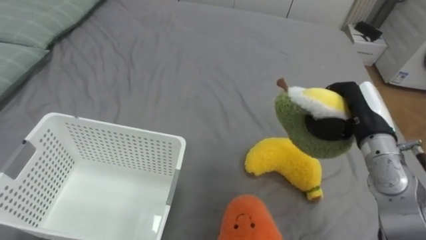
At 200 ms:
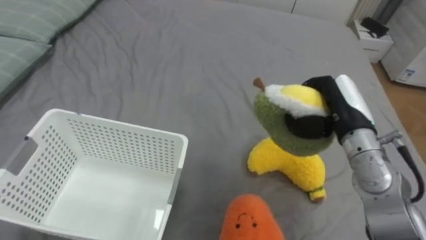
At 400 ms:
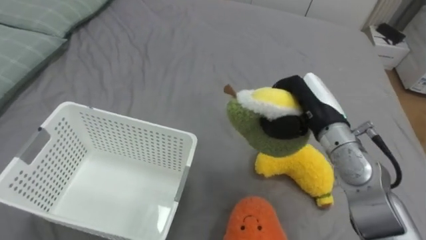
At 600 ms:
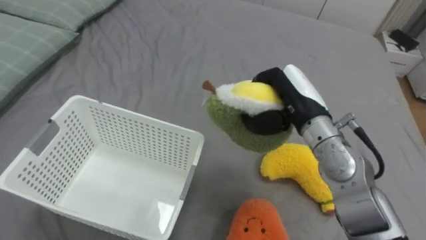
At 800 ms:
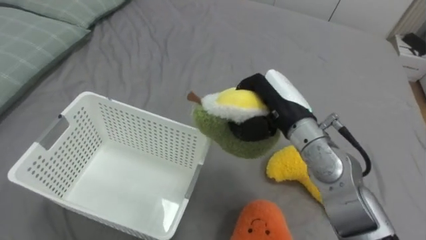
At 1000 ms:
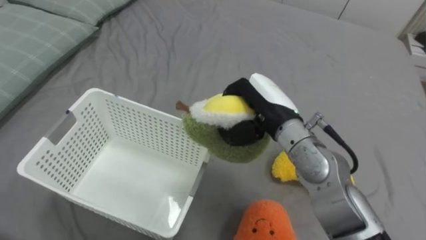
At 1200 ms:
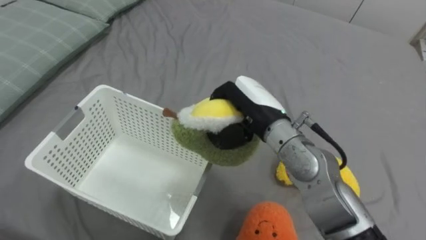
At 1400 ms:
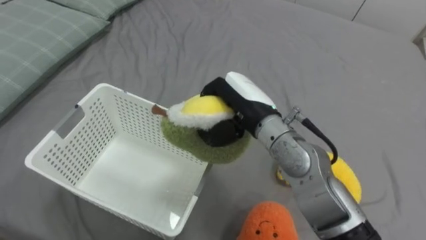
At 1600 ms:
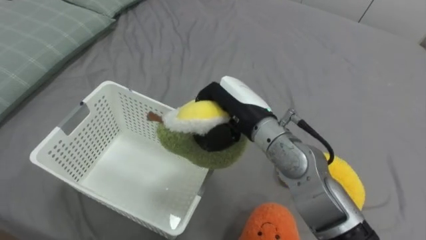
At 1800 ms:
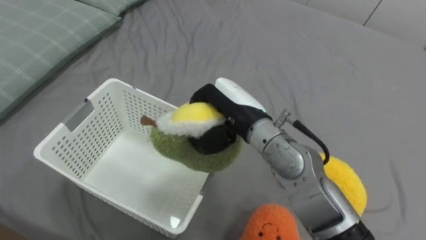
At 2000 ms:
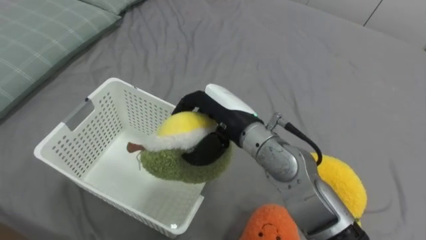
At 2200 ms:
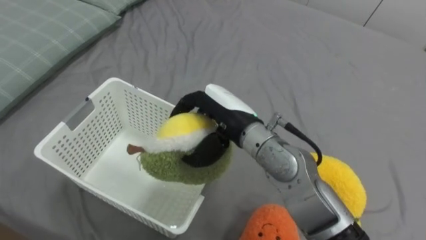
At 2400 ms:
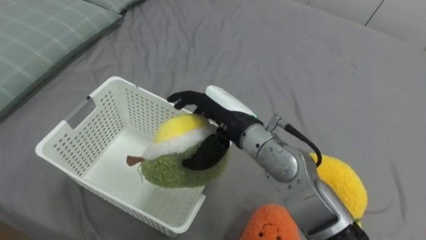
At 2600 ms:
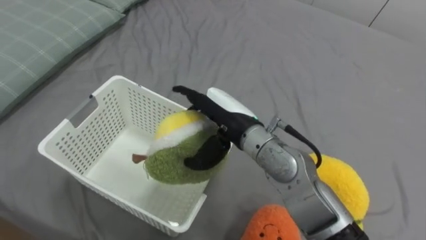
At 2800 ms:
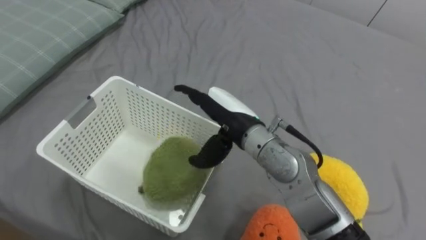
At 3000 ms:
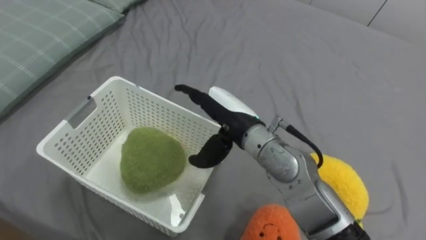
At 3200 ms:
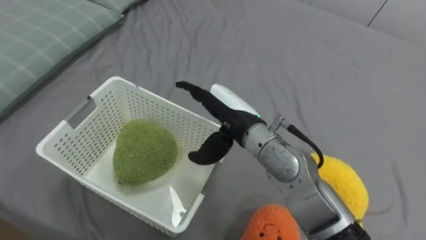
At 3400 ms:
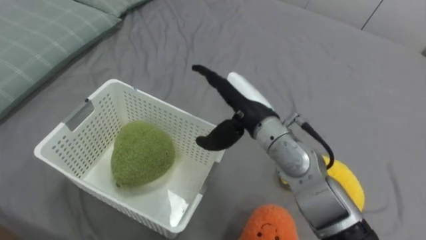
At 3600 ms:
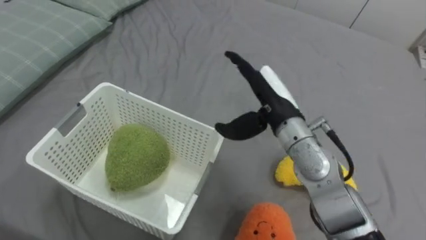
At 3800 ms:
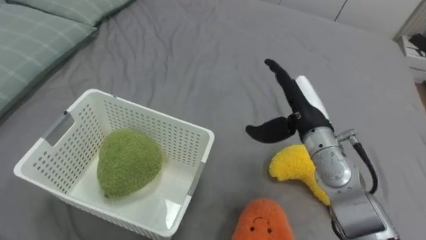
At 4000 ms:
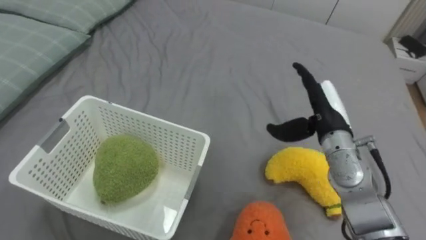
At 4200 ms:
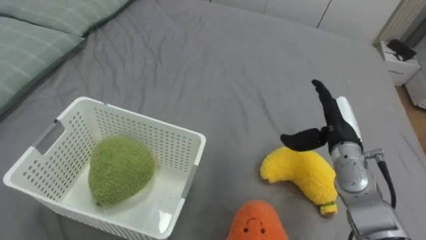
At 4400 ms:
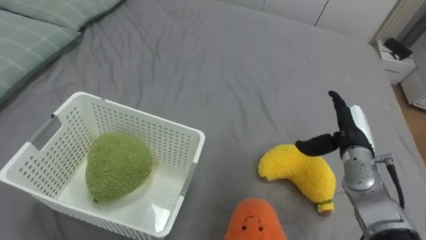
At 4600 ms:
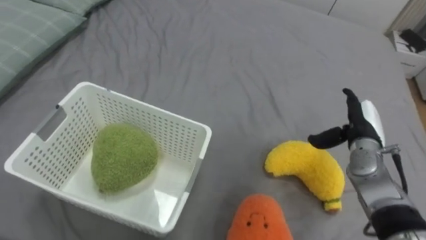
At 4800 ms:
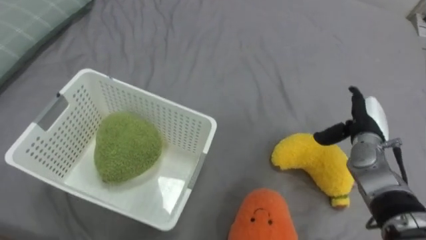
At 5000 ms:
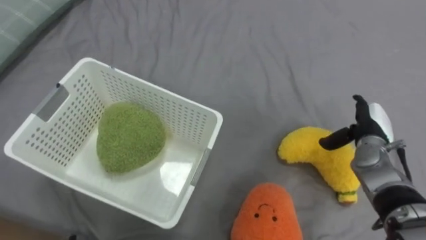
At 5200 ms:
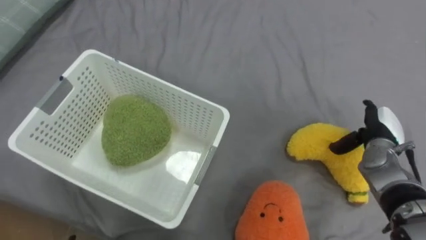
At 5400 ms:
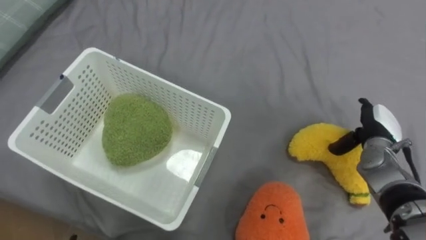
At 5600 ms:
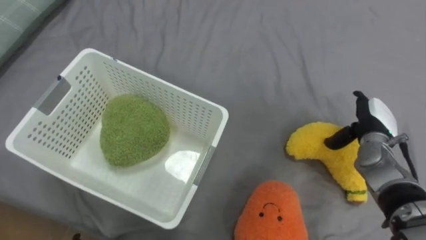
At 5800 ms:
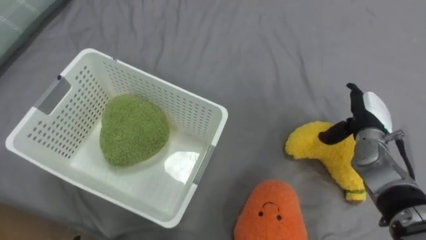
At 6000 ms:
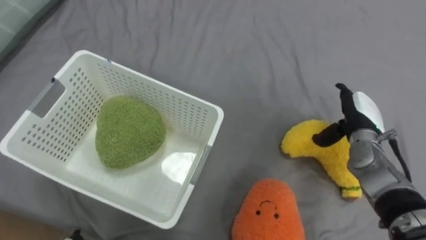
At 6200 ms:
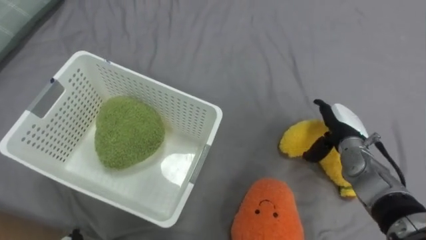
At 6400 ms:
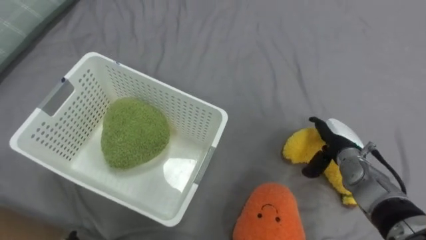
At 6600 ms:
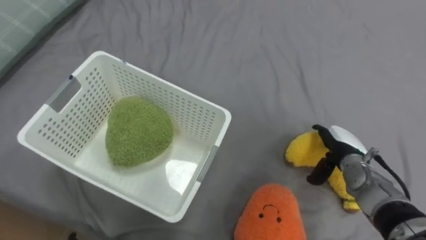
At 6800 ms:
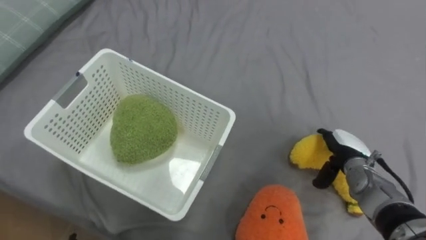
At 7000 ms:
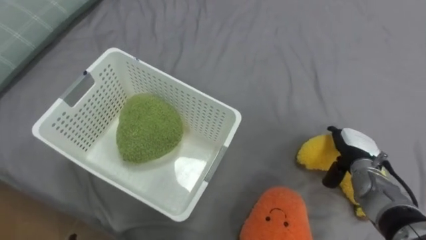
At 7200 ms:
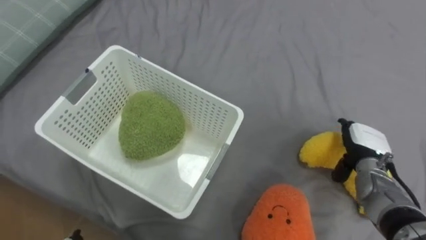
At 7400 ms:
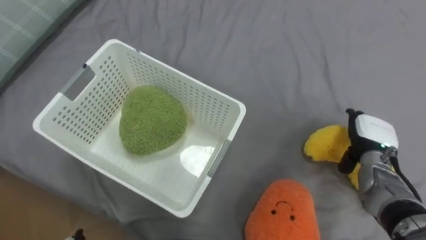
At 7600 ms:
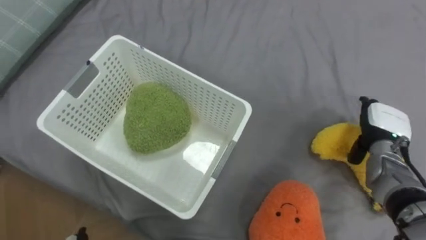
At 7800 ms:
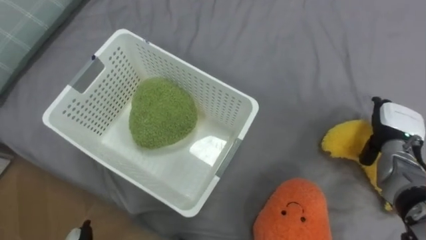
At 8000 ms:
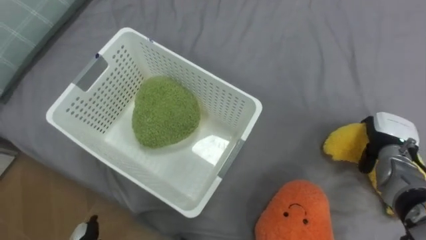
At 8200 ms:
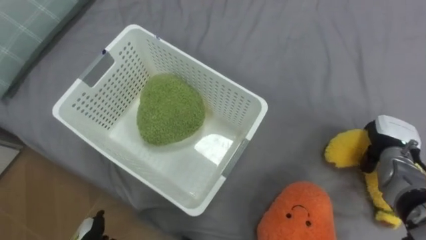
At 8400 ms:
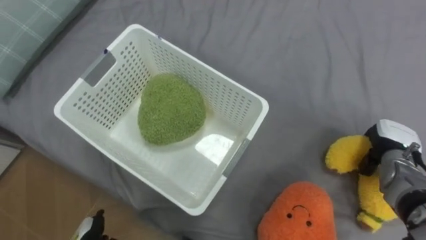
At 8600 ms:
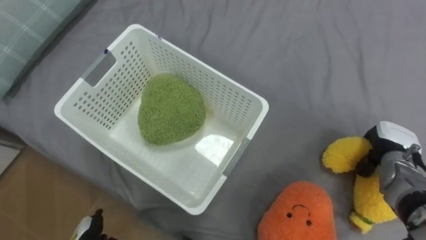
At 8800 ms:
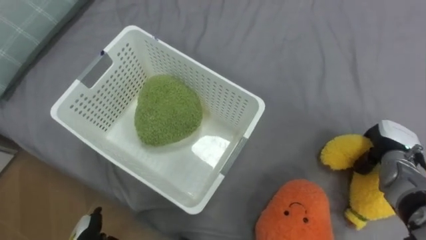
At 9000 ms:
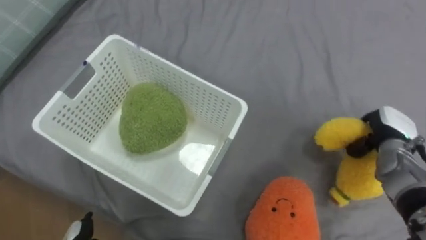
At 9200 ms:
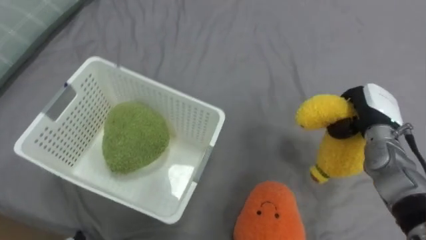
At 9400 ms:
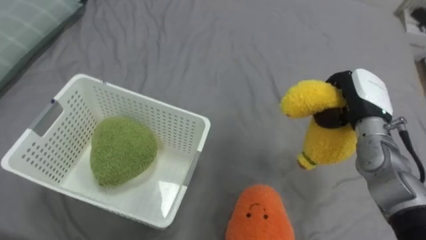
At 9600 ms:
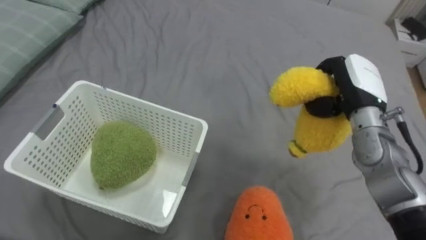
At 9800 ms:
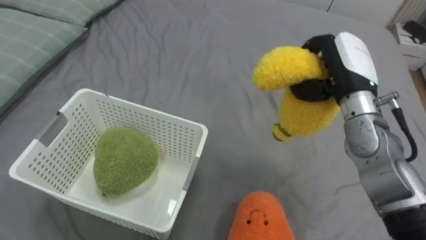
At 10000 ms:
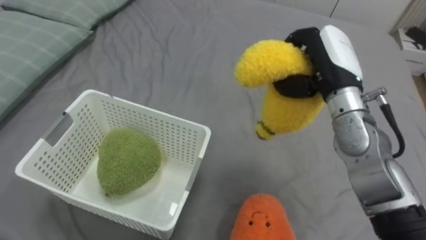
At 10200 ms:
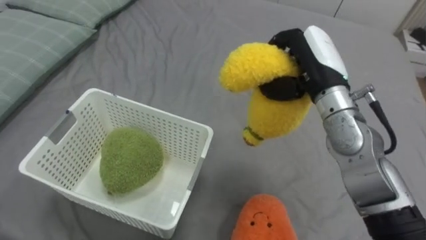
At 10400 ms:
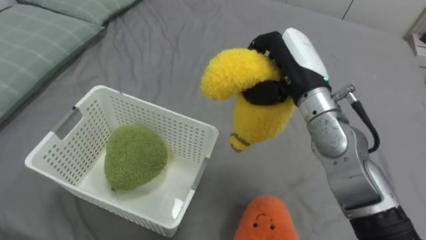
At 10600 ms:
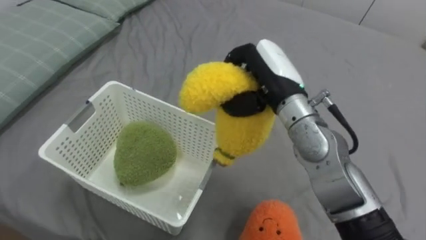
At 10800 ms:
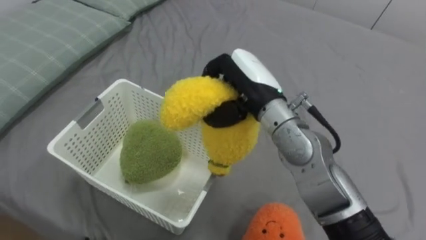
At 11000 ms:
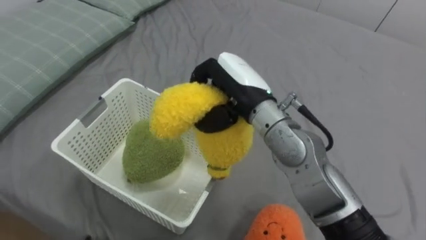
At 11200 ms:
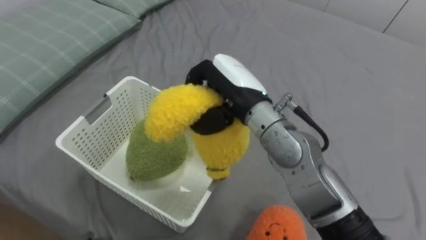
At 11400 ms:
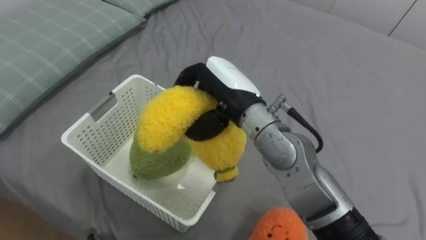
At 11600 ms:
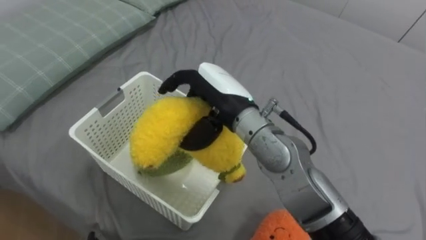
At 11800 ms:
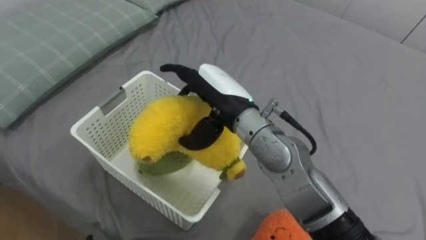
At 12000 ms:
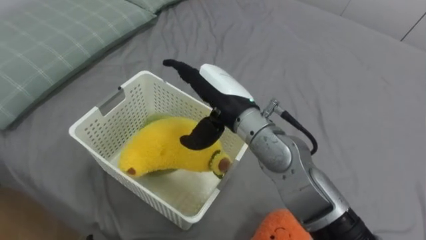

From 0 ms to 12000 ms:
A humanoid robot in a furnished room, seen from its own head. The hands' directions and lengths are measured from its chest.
Task of the whole recording: Put the toys on the bed into the basket on the left.
From 0 ms to 1600 ms: The right hand shifts about 20 cm to the left.
From 1600 ms to 3000 ms: The right hand opens.
From 3000 ms to 4400 ms: The right hand is displaced to the right by some 25 cm.
From 7600 ms to 9000 ms: The right hand closes.
From 9000 ms to 10400 ms: The right hand moves to the left and upward, about 30 cm.
From 10400 ms to 12000 ms: The right hand heads to the left, covering roughly 10 cm, and opens its fingers.

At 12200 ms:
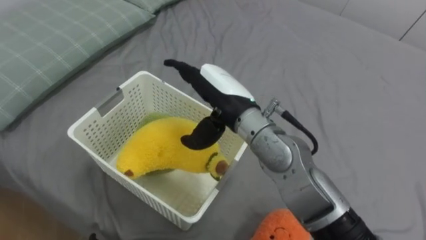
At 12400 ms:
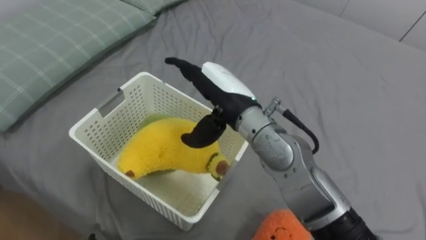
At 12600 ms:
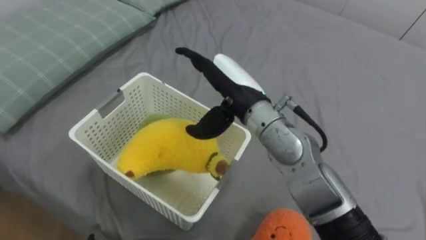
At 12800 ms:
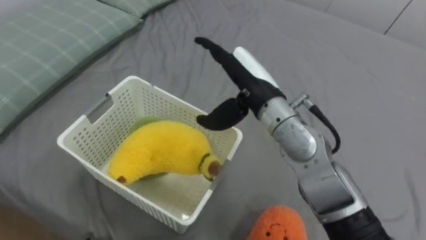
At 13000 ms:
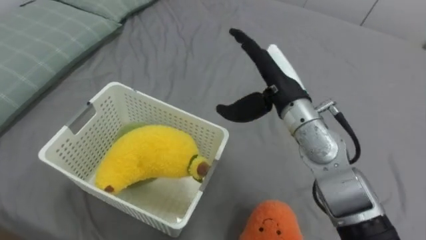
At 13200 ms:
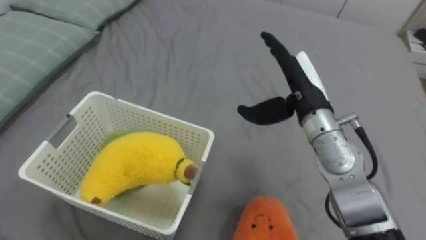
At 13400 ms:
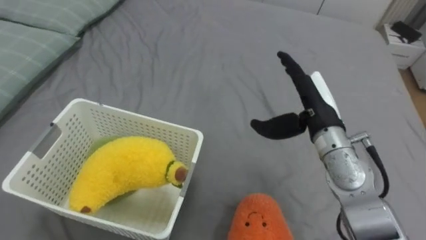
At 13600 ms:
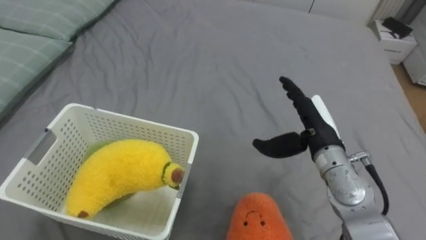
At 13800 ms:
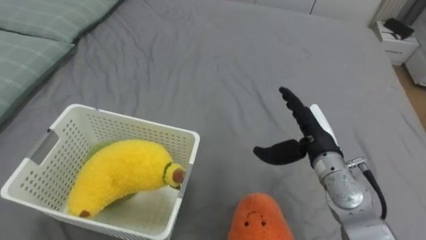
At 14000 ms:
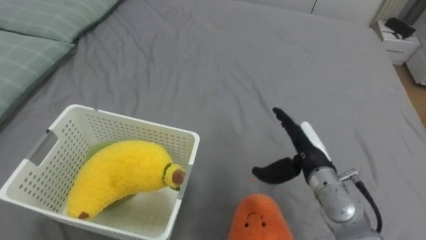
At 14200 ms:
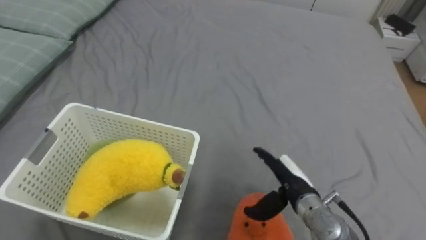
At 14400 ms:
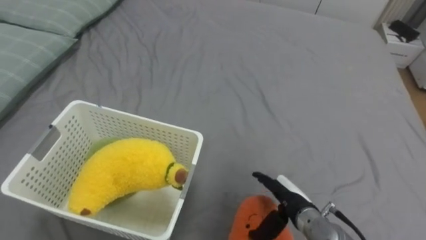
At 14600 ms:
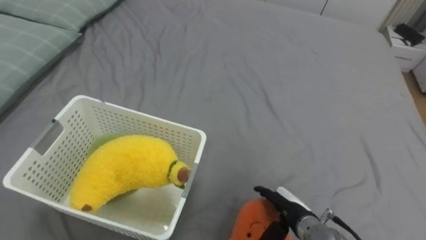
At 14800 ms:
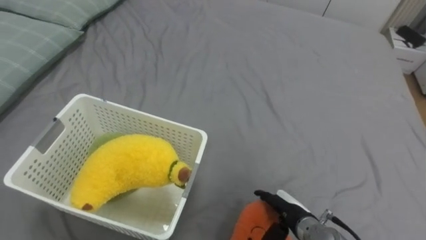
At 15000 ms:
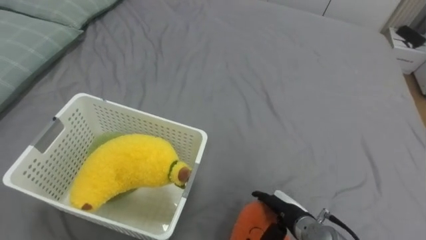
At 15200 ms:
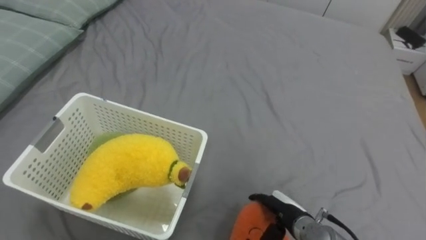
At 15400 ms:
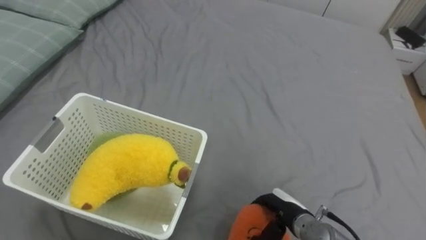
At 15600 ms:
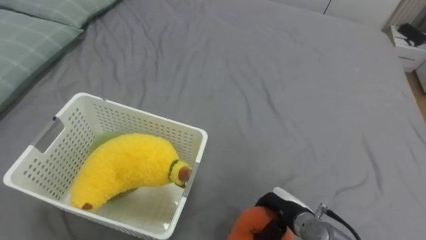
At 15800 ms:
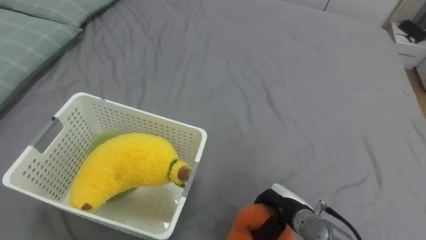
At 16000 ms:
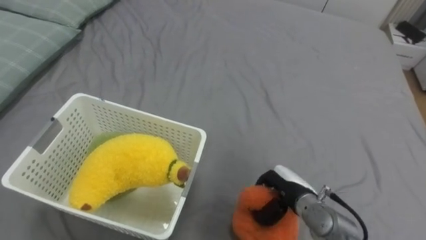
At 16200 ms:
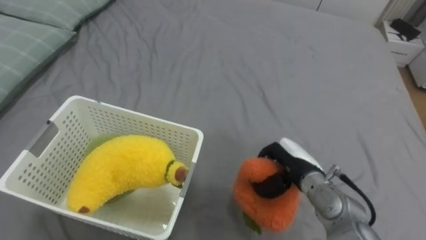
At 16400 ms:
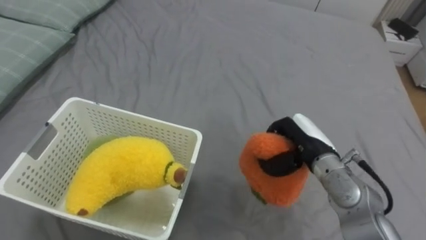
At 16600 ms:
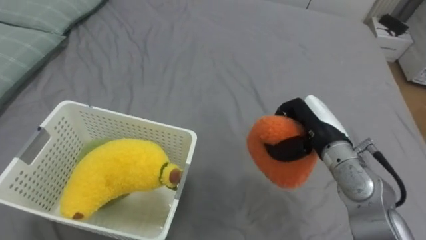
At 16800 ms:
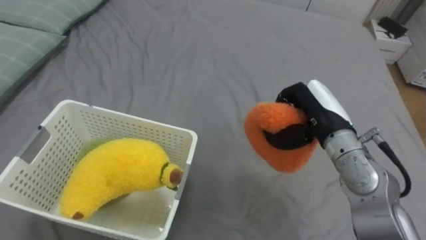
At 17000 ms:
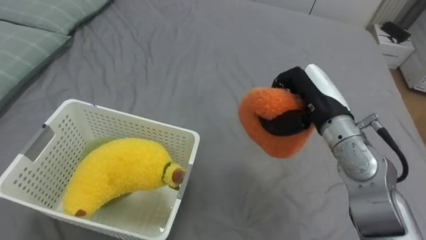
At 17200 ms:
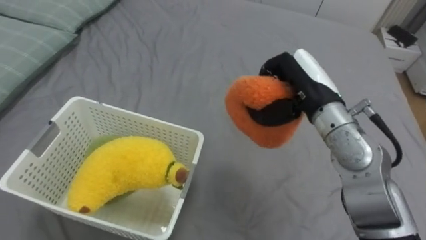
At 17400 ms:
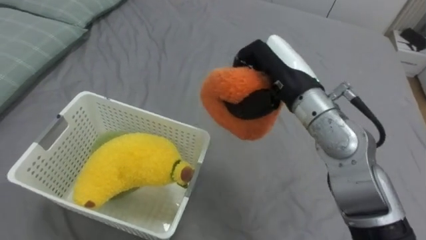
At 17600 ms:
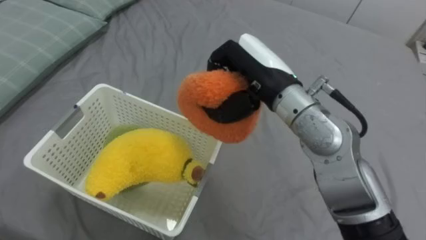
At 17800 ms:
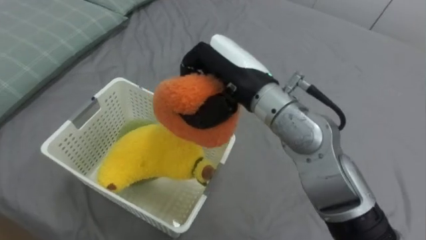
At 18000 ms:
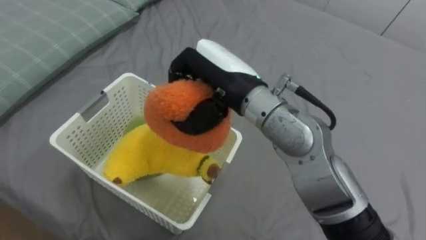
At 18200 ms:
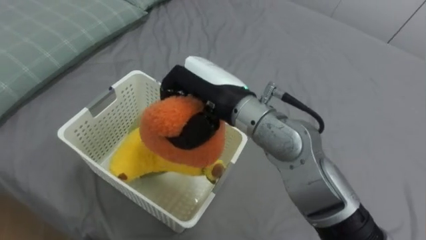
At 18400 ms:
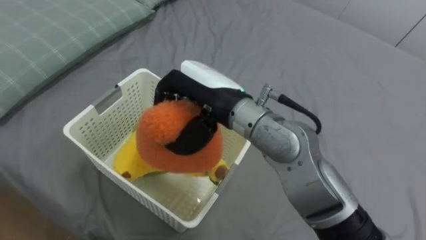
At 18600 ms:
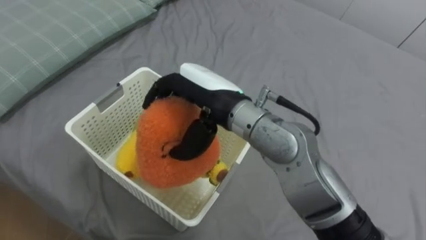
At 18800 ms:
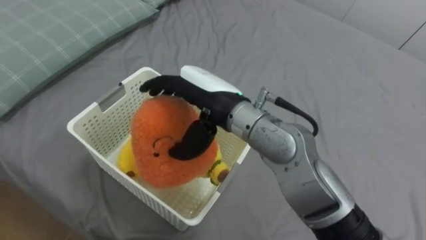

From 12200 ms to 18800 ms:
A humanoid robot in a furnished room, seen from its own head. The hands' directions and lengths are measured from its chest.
Task of the whole recording: Put the toys on the bed into the basket on the left.
From 12200 ms to 13800 ms: The right hand moves to the right and downward, roughly 20 cm.
From 13800 ms to 15400 ms: The right hand is displaced downward and backward by some 20 cm, and closes up.
From 15400 ms to 17200 ms: The right hand moves upward and forward, some 30 cm, and closes up.
From 17200 ms to 18800 ms: The right hand is displaced to the left by some 15 cm, and opens up.
